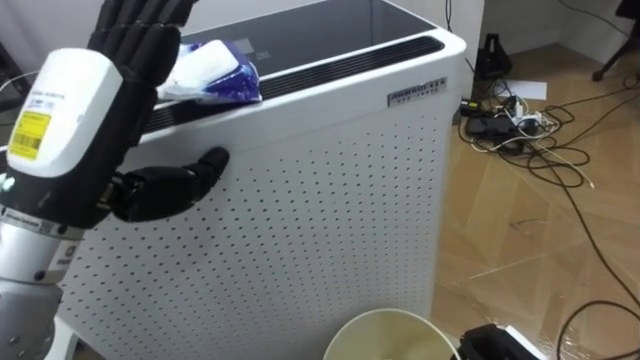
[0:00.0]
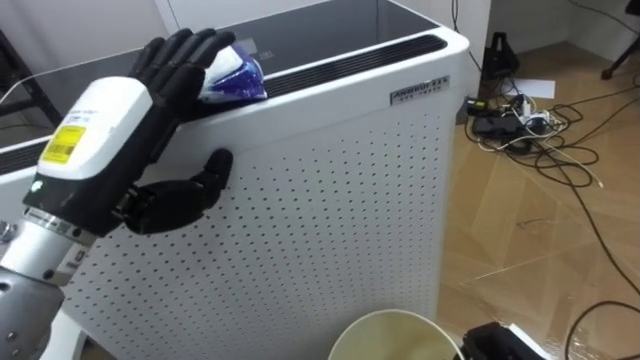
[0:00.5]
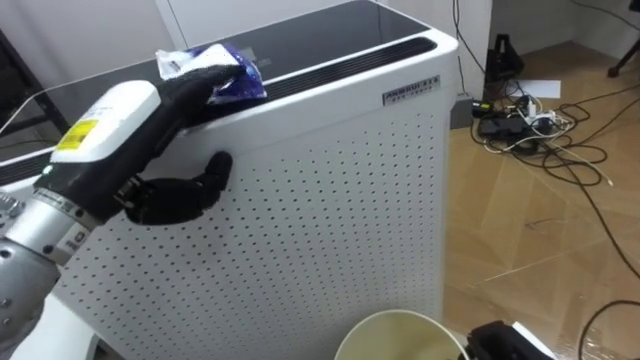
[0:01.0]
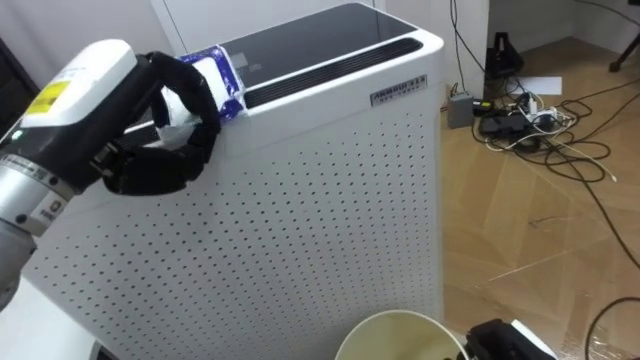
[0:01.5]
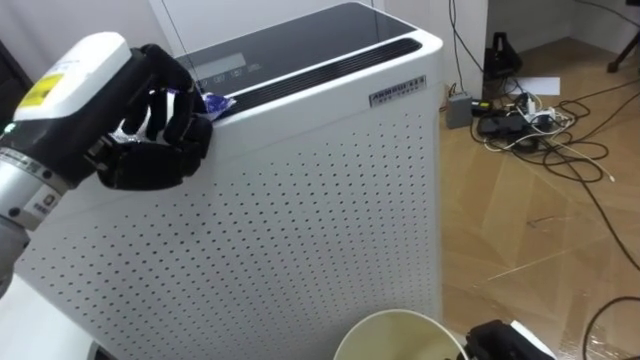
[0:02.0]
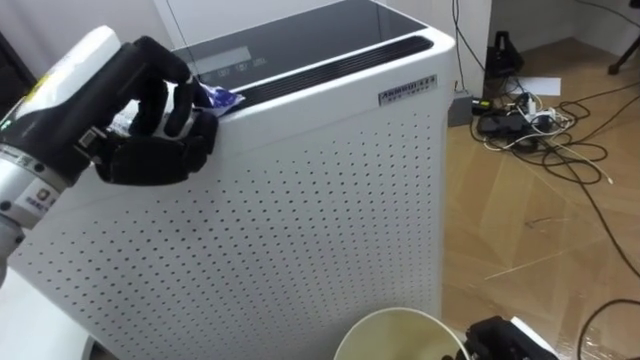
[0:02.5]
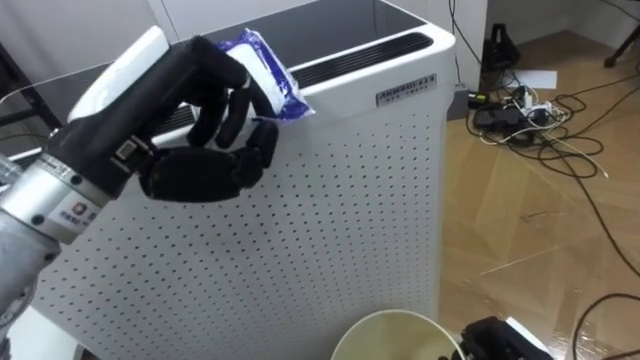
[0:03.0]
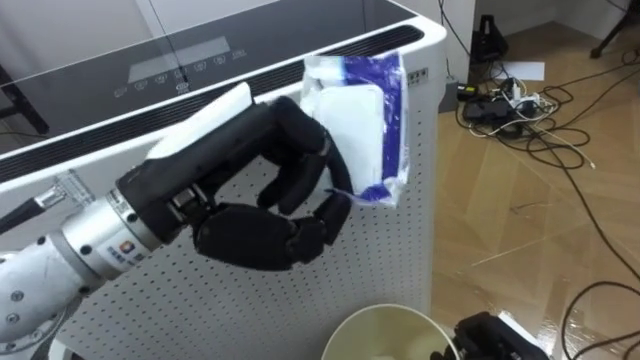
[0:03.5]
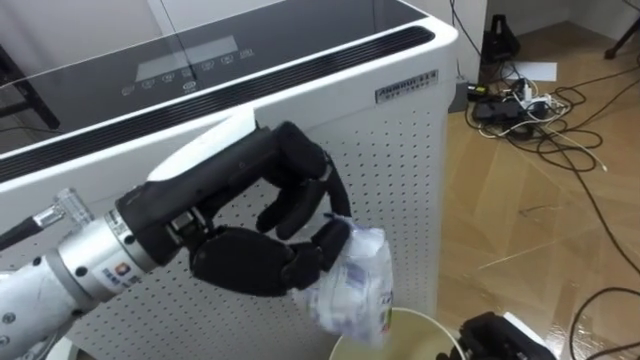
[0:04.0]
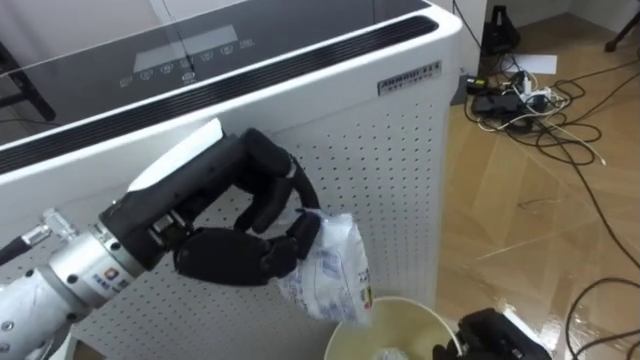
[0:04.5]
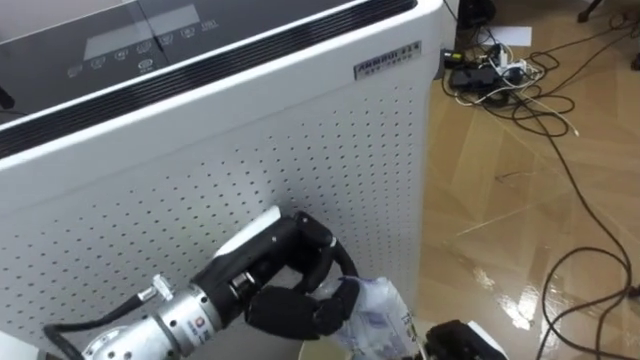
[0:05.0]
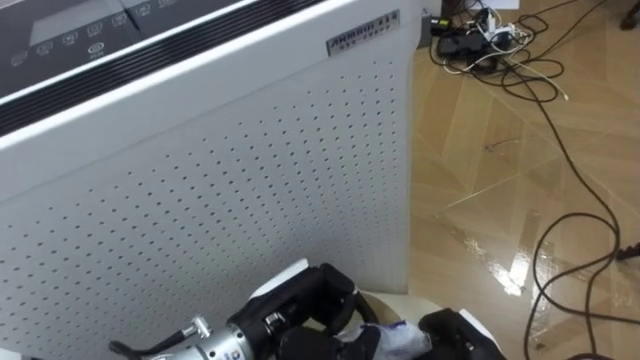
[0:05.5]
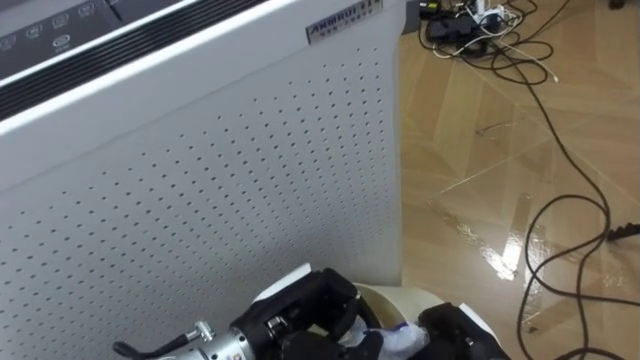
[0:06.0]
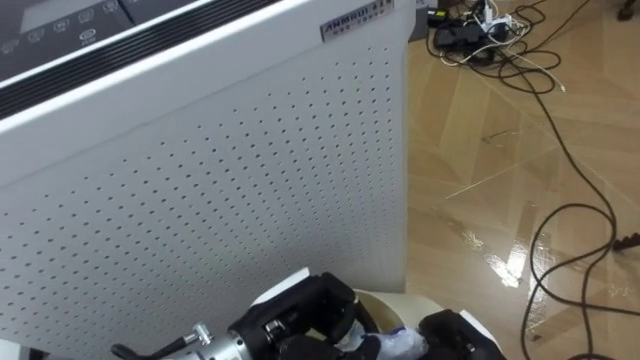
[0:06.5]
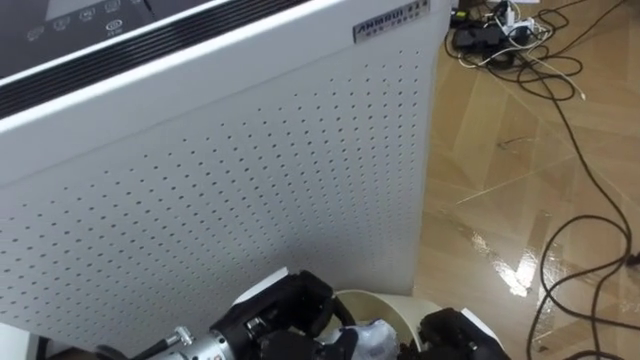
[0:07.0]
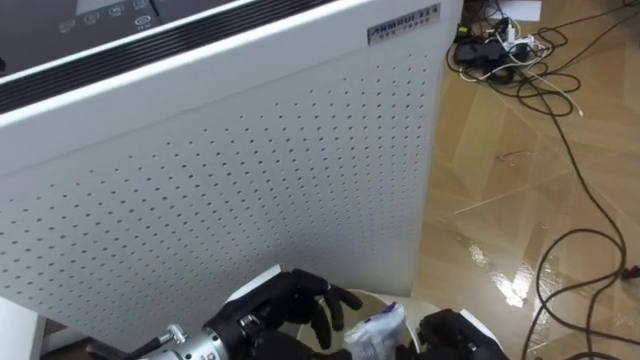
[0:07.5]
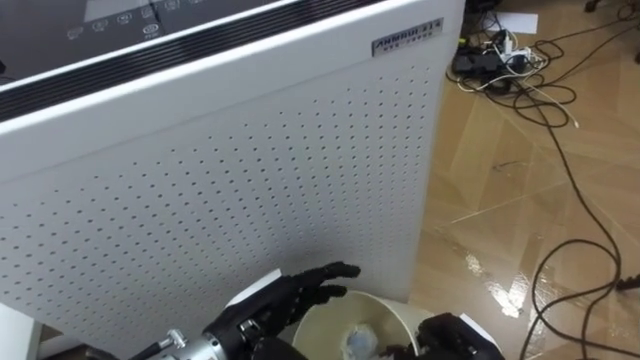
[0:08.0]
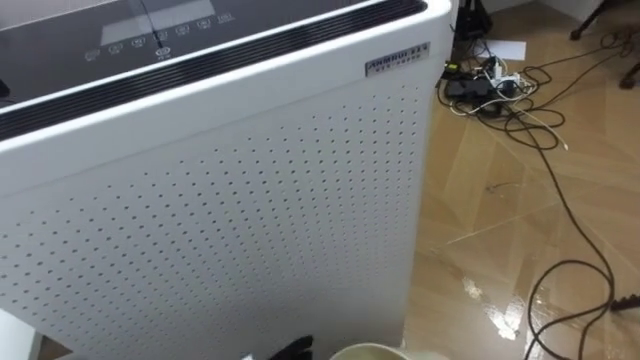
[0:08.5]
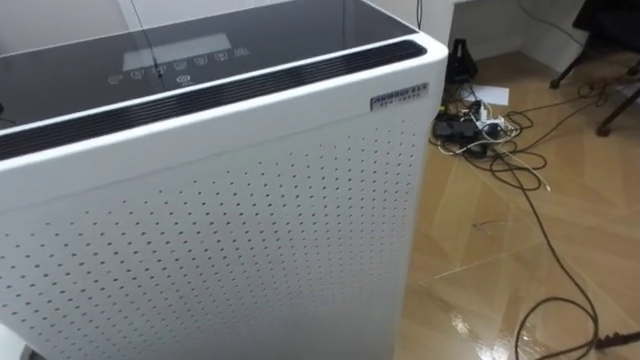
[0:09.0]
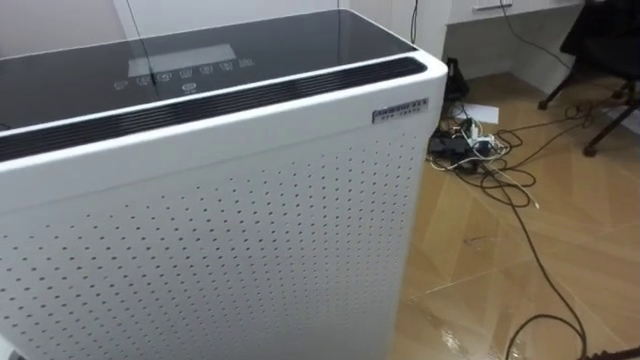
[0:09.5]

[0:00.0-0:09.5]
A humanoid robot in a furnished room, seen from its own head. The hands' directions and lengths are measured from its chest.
Task of the whole recording: Pick up the light blue package, the candy box, and the dark blue package separately, and put them into the trash can held in your right hand.
0:00.0 to 0:02.0: The left hand closes its fingers.
0:02.0 to 0:04.0: The left hand goes about 10 cm to the right and backward.
0:04.0 to 0:05.5: The left hand shifts some 20 cm downward.

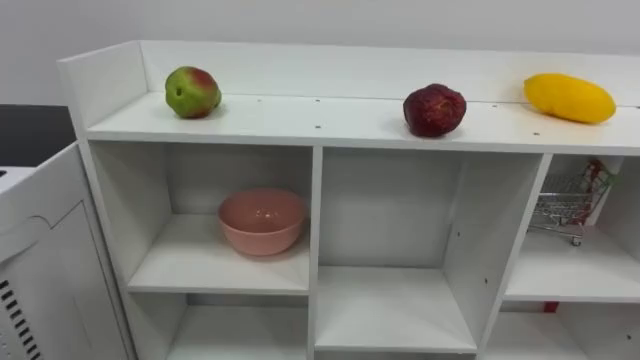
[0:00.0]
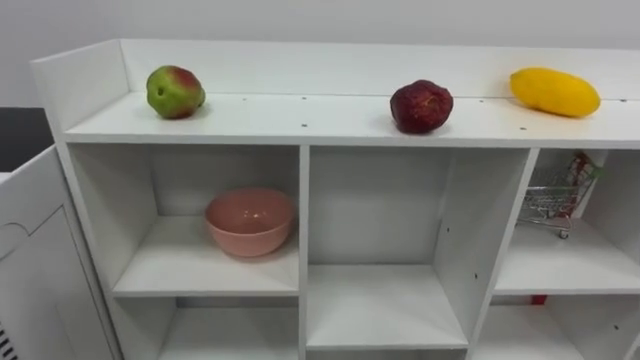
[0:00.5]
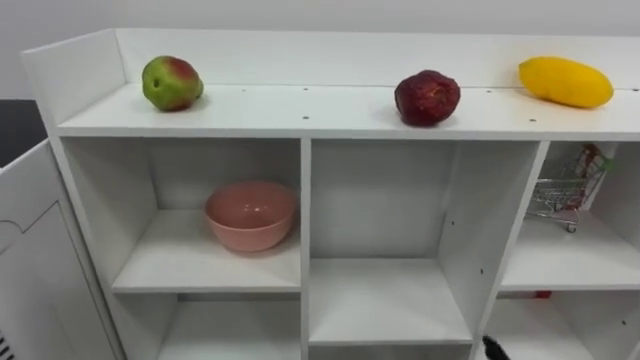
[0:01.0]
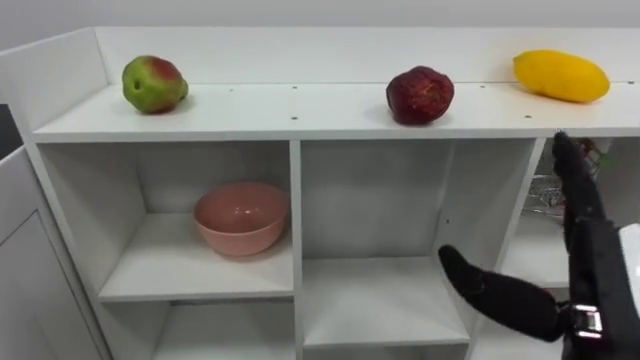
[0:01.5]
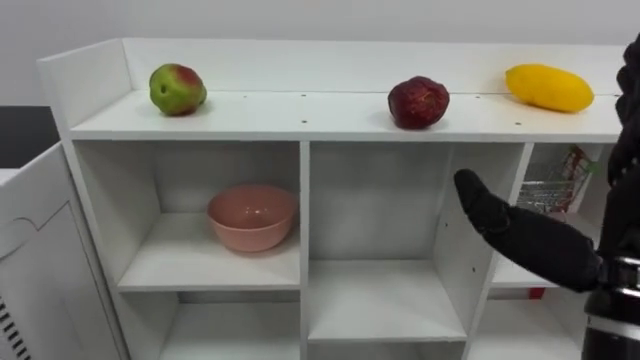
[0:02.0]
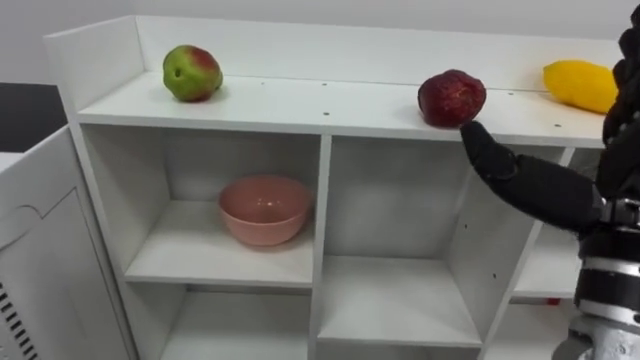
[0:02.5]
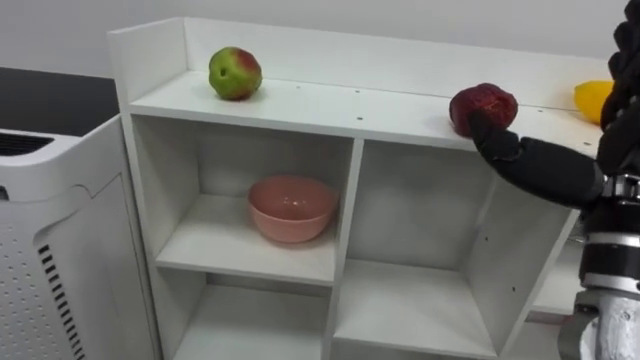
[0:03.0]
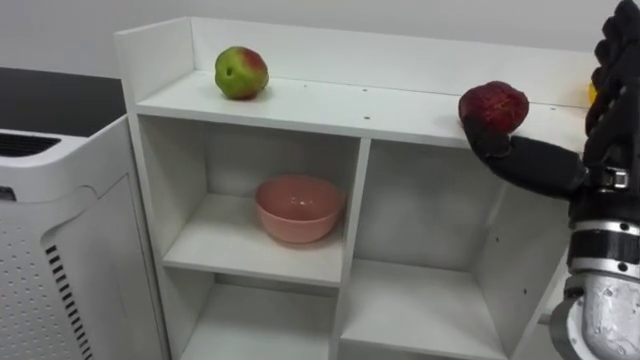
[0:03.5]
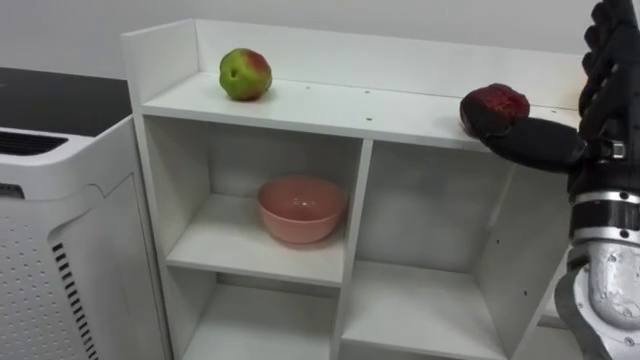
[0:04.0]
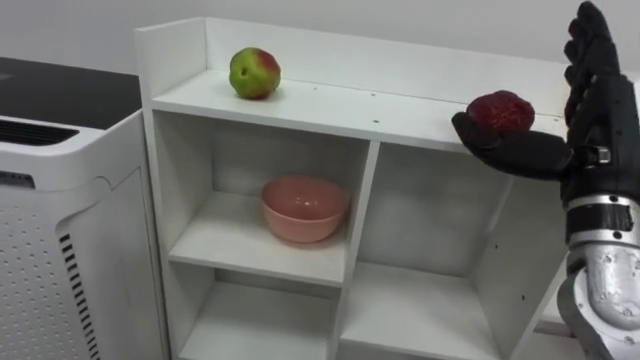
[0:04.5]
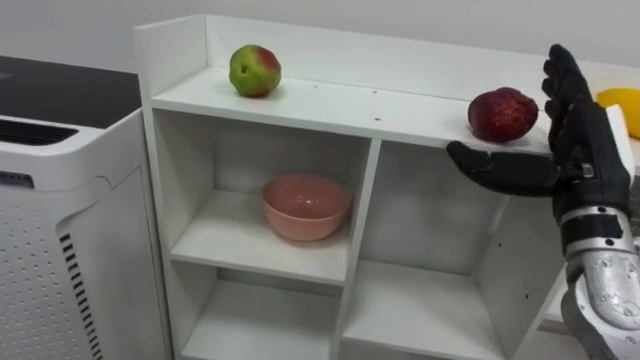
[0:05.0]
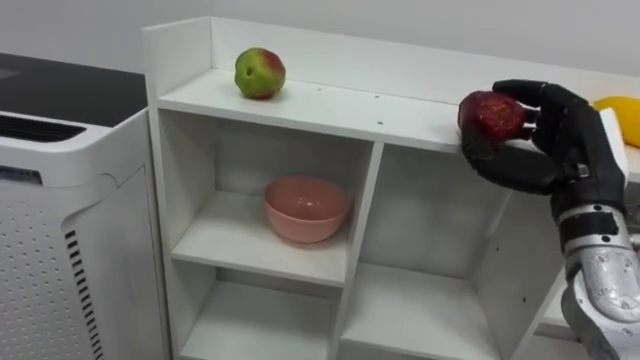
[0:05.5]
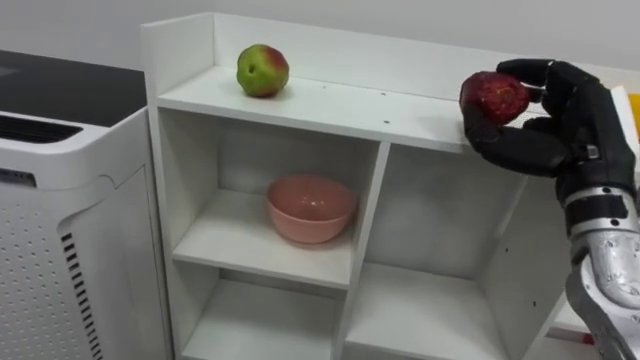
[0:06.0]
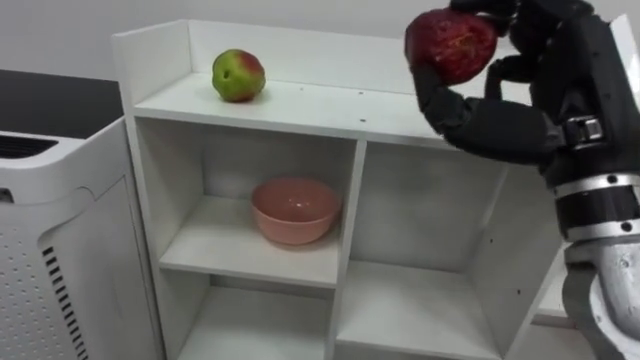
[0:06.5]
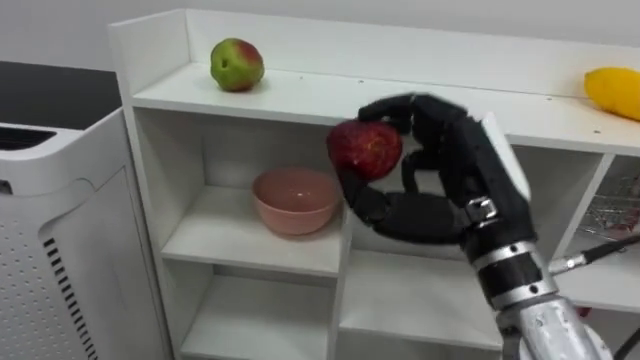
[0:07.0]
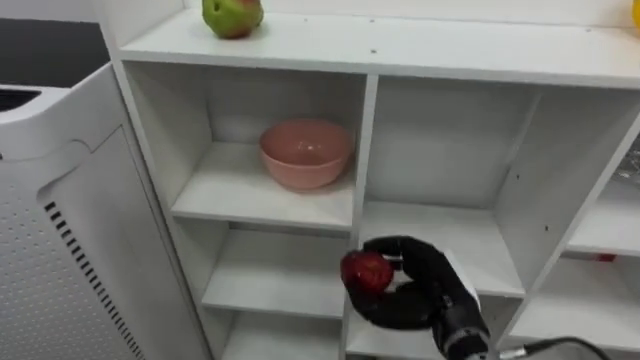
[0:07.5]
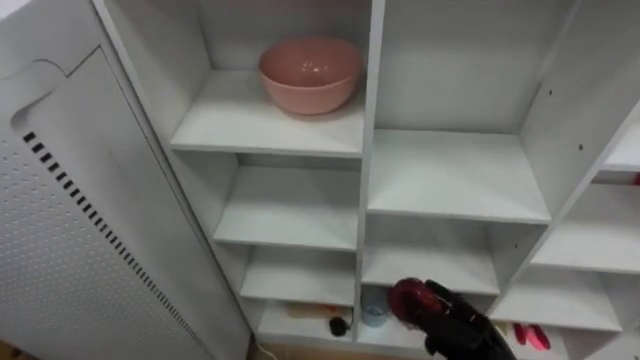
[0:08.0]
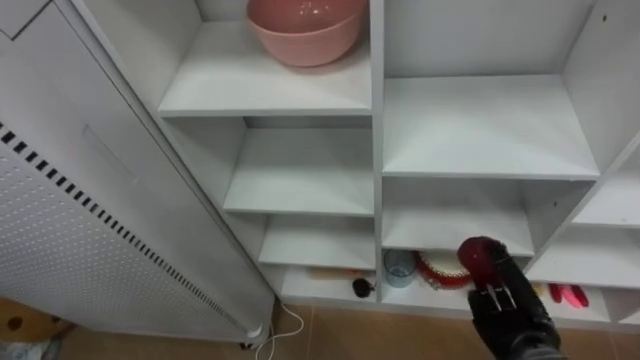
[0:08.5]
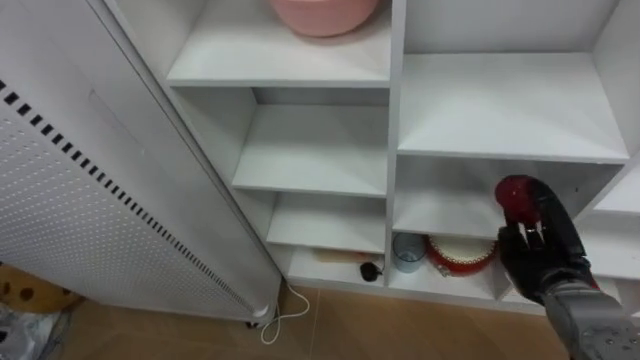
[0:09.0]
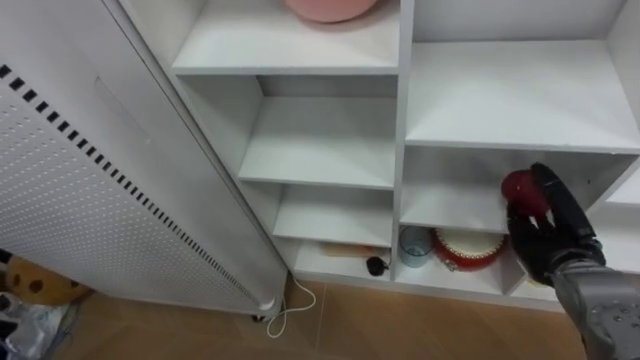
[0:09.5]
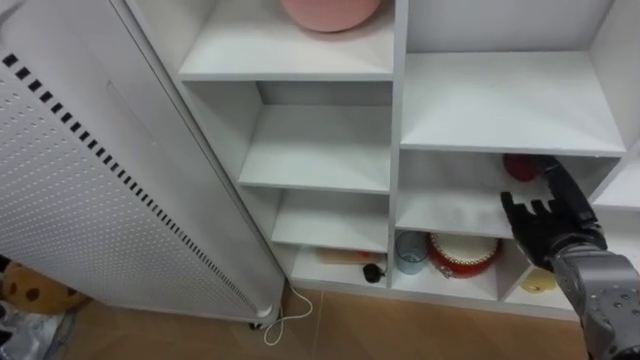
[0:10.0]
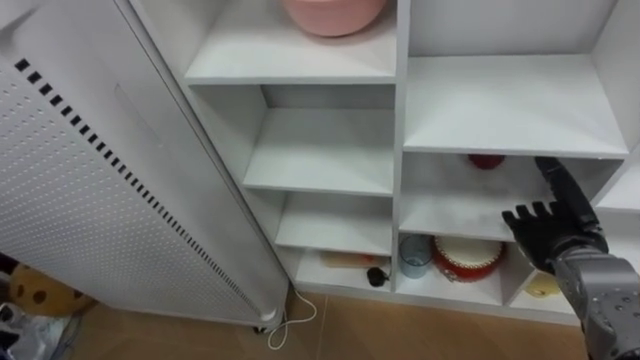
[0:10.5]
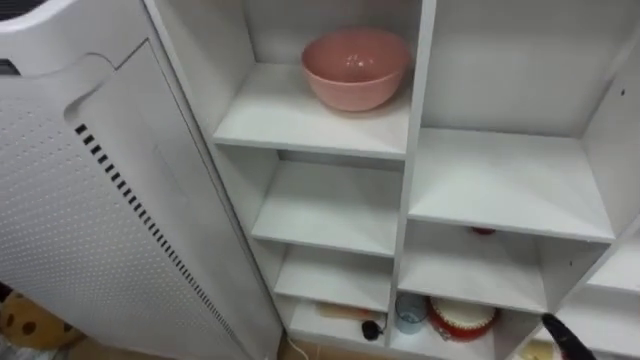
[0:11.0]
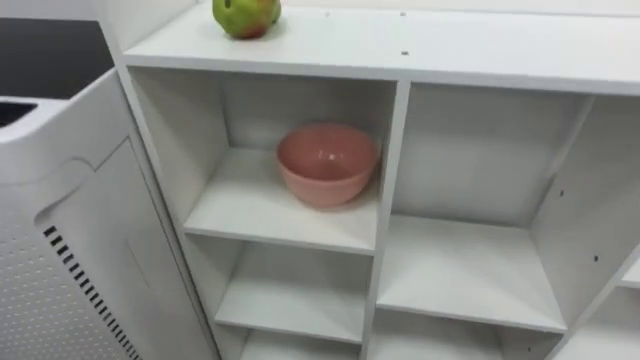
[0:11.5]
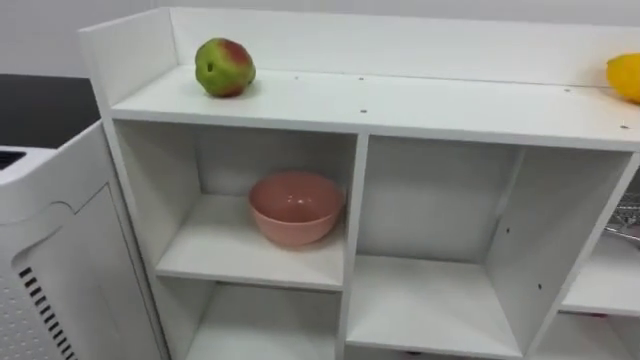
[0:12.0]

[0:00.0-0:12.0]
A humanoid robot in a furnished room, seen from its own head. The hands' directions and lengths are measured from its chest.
Task of the whole recording: Put the apple in the cell in the second column from the left and the second row from the top.
0:02.0 to 0:04.0: The right hand heads forward, covering about 10 cm.
0:04.0 to 0:06.0: The right hand closes its fingers.
0:06.0 to 0:08.0: The right hand is displaced downward by roughly 30 cm.
0:08.0 to 0:10.0: The right hand moves upward, to the right and forward, about 20 cm, and opens.
